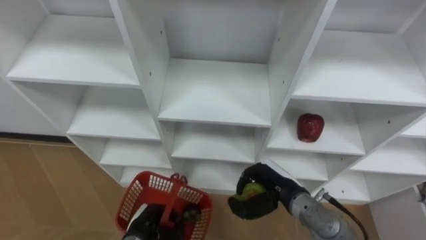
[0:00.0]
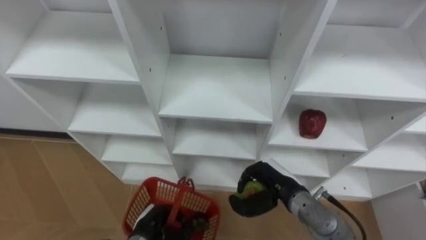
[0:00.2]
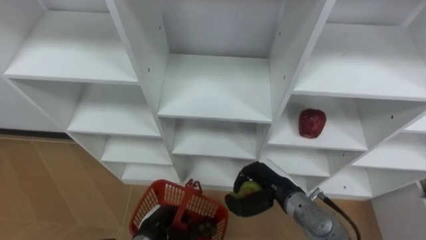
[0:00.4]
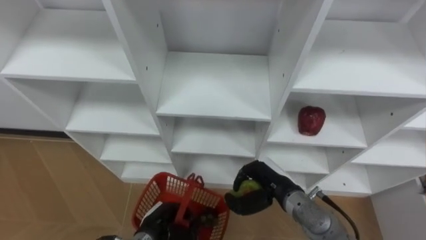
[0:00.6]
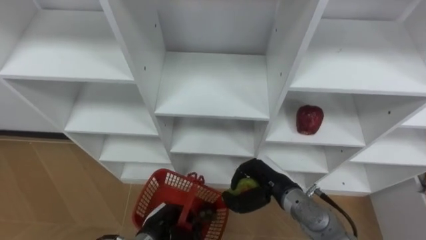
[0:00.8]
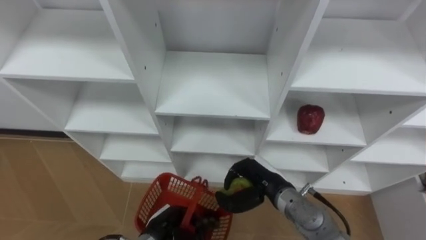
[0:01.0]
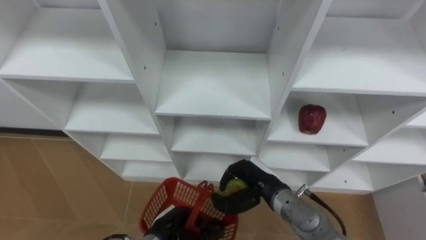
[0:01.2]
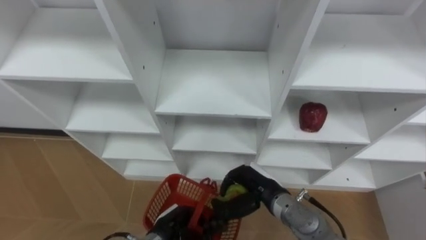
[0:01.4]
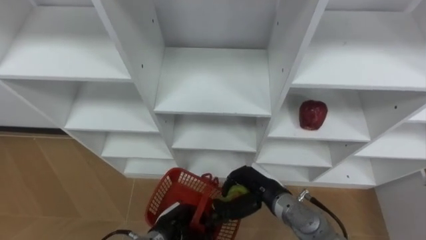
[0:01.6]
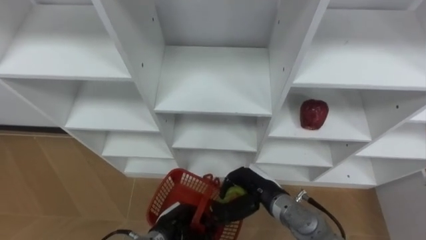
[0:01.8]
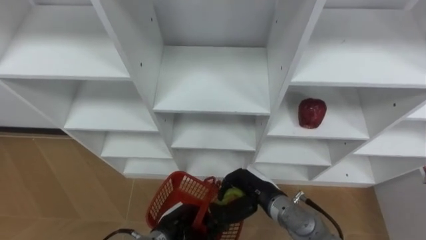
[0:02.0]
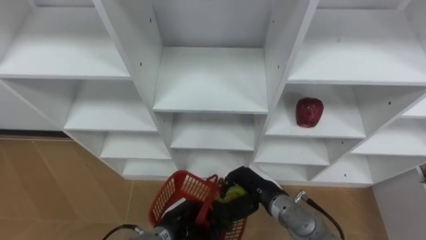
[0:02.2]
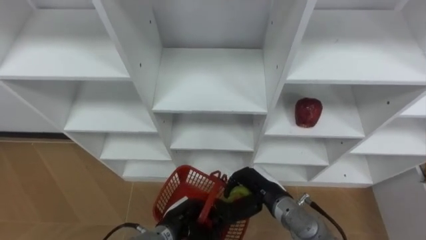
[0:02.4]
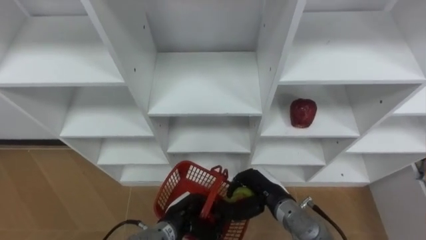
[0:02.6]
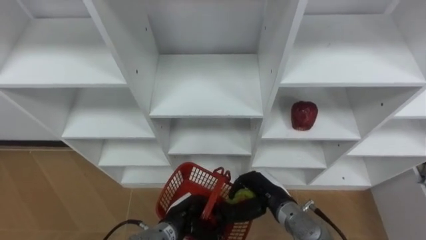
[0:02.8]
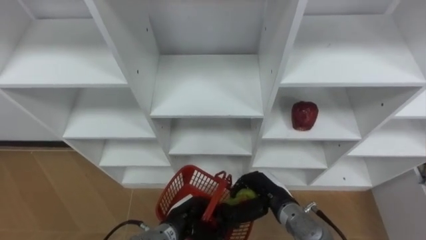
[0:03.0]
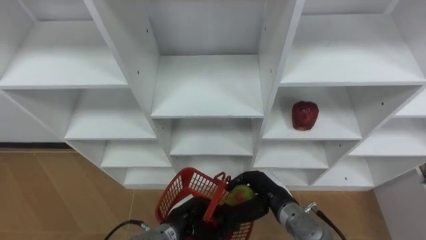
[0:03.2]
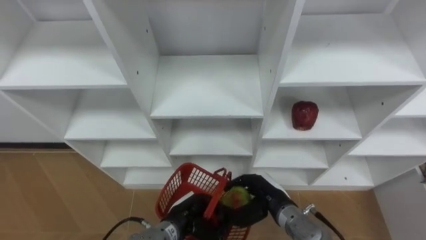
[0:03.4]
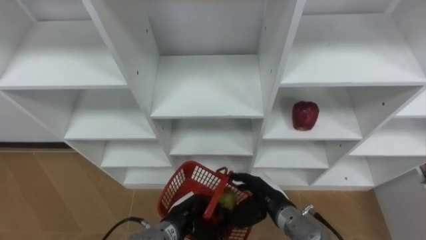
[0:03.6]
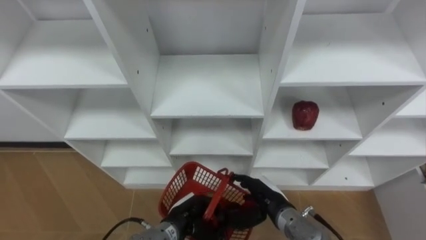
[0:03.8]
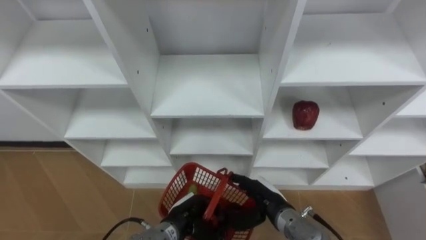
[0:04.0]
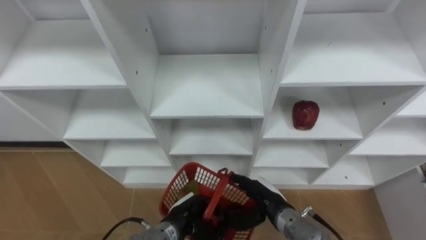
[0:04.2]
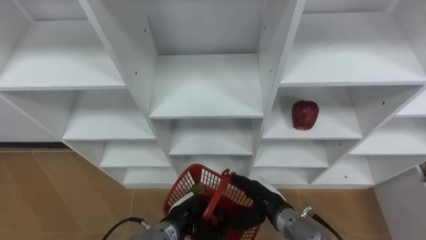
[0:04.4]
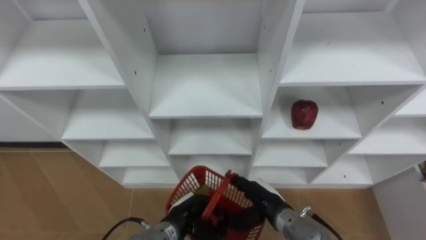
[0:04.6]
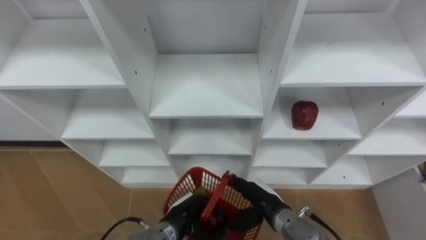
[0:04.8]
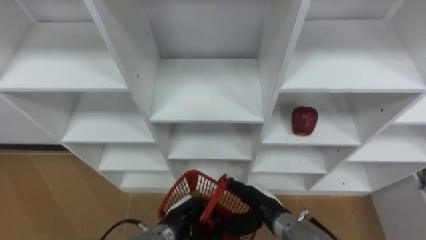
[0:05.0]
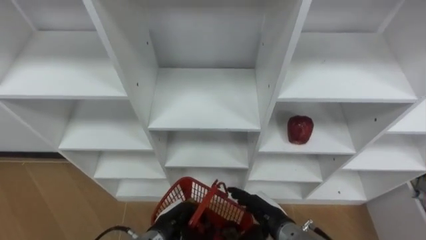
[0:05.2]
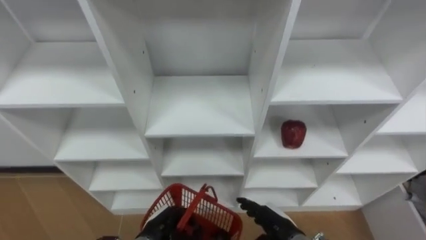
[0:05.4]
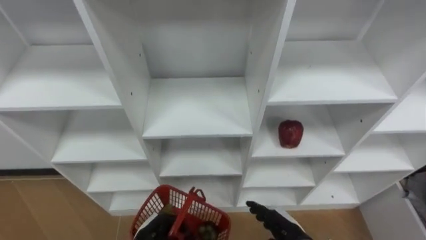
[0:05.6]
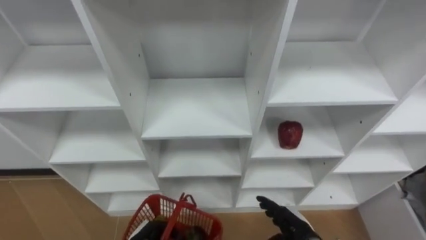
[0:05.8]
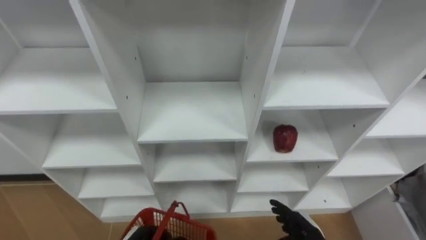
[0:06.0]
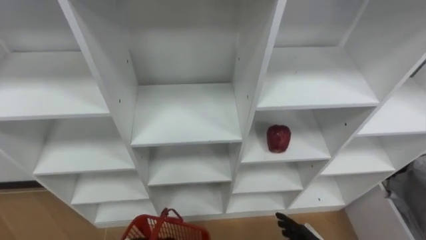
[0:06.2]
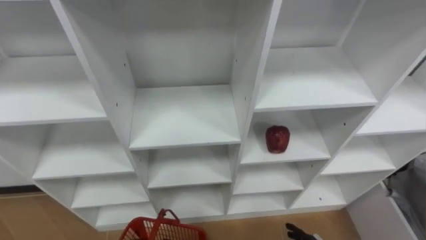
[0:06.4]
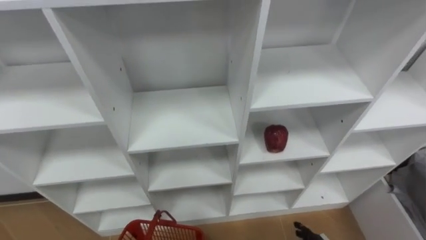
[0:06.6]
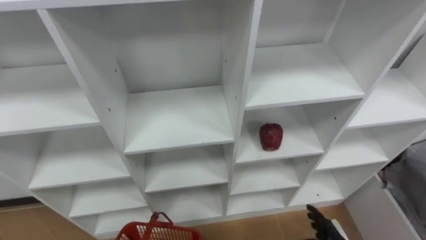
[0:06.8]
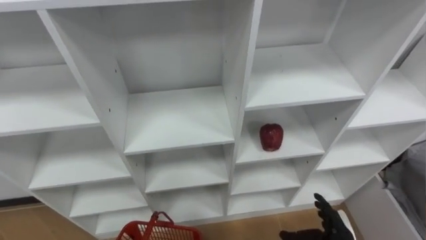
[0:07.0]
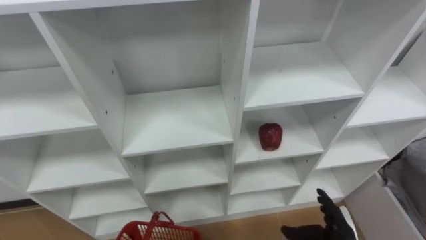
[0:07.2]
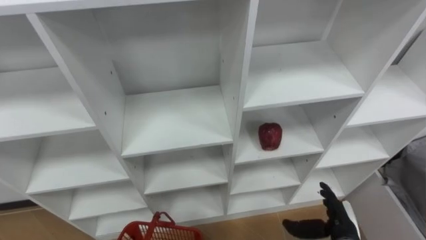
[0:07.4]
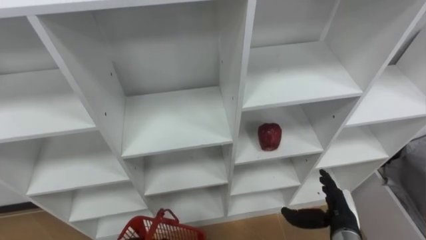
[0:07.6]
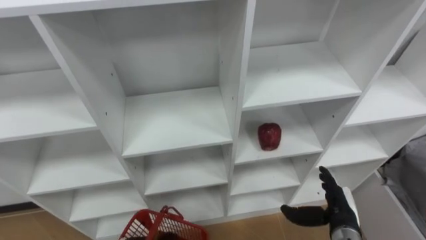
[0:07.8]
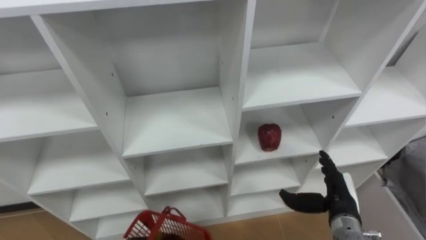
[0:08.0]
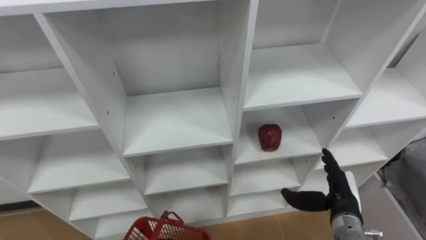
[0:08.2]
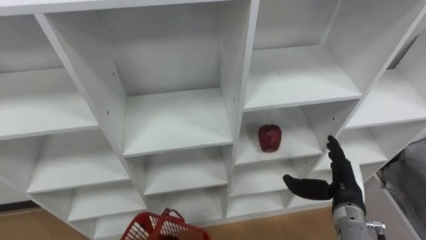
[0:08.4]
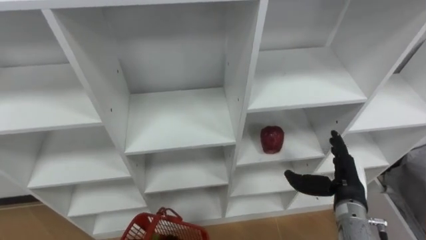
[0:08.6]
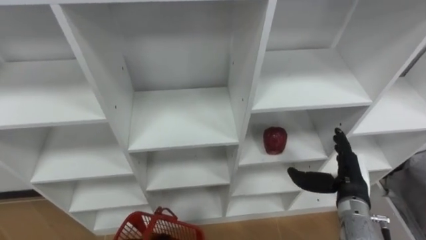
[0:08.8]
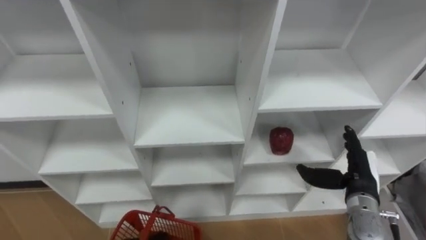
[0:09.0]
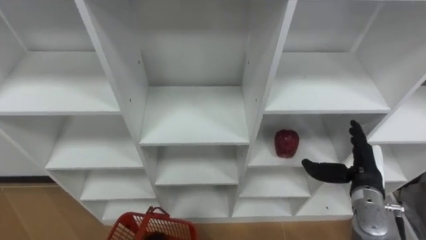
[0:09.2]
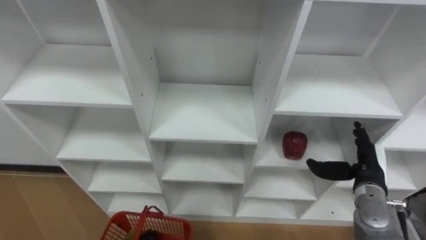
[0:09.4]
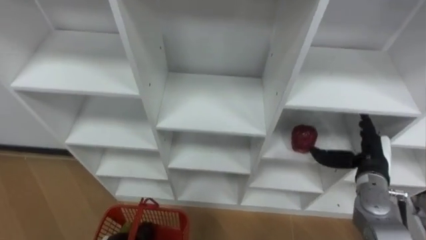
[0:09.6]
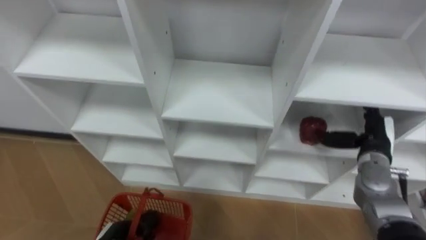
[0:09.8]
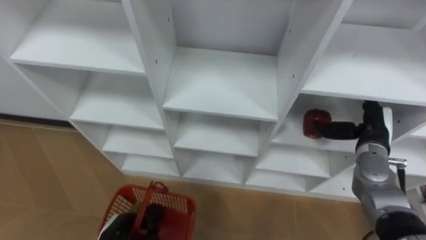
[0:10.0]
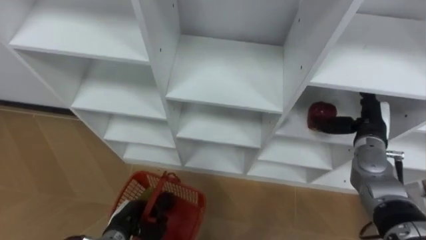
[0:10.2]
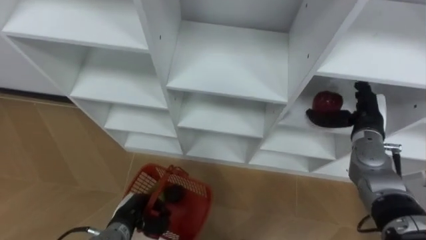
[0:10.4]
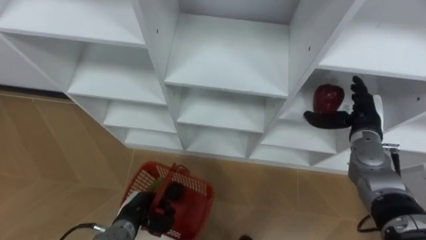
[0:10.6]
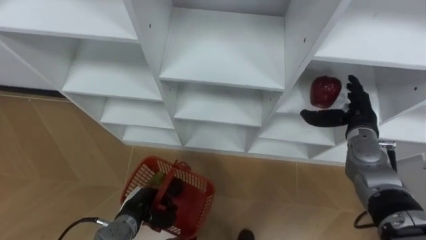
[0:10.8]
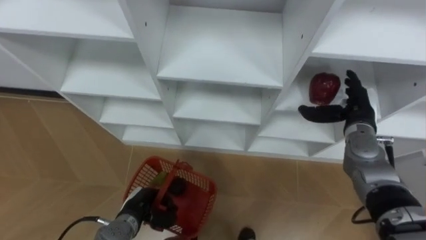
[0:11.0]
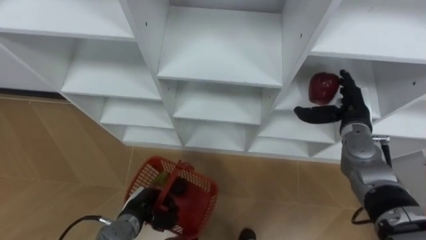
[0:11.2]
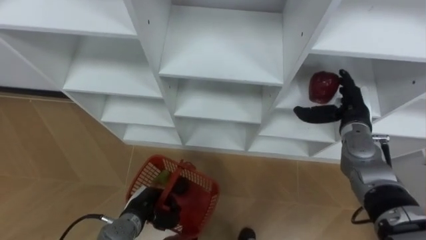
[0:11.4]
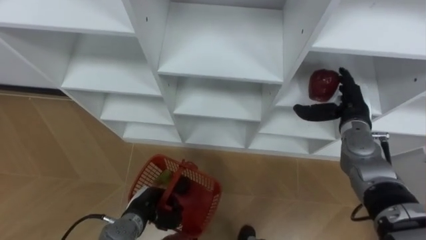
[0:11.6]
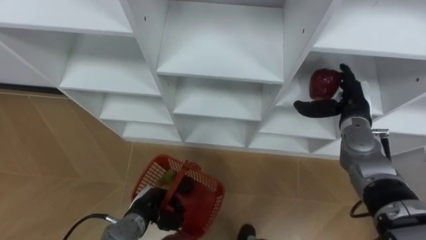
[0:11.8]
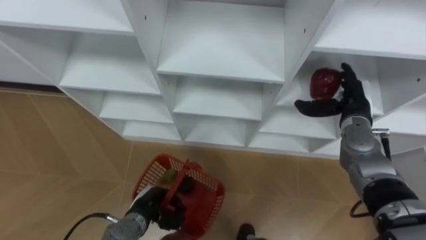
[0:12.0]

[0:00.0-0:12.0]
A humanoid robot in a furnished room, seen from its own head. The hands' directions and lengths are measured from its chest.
Task of the whole recording: Hold the basket and collect the fruits from 3 different cells of the closet into it.
0:00.0 to 0:01.6: The left hand heads to the right, covering about 5 cm.
0:03.0 to 0:04.4: The right hand opens up.
0:04.4 to 0:06.0: The right hand heads to the right and backward, covering approximately 10 cm.
0:07.6 to 0:09.0: The right hand travels upward and forward by some 10 cm.
0:09.0 to 0:10.4: The right hand is displaced forward and upward by approximately 10 cm.

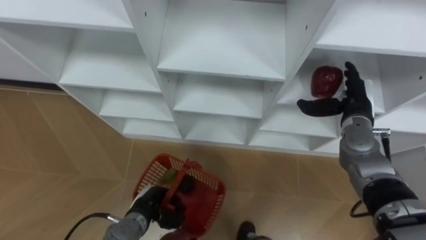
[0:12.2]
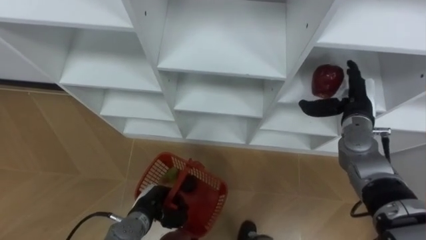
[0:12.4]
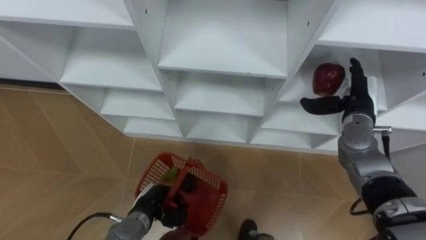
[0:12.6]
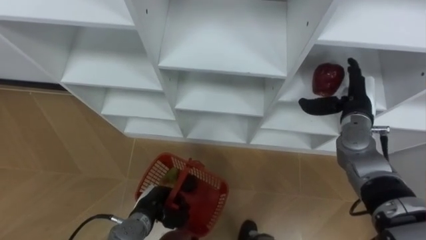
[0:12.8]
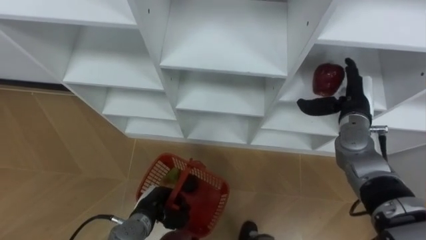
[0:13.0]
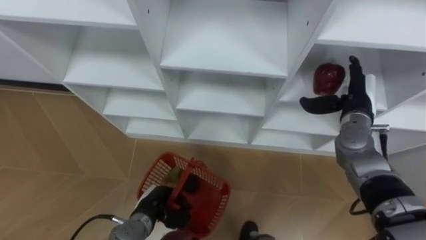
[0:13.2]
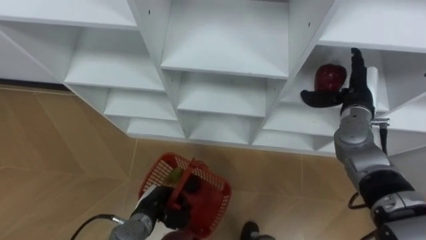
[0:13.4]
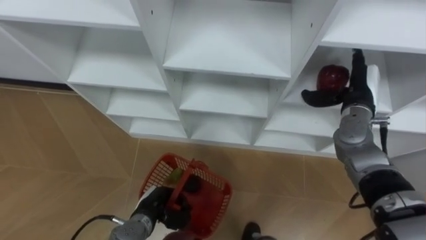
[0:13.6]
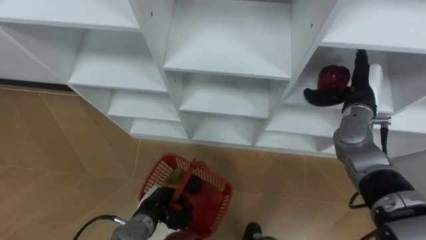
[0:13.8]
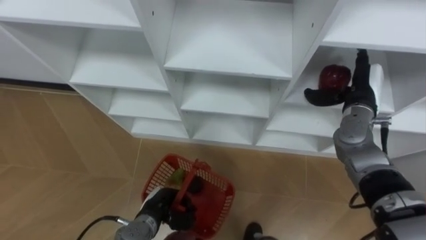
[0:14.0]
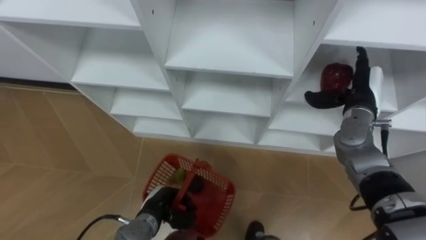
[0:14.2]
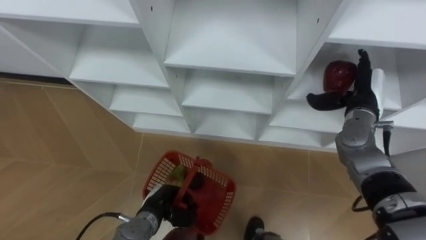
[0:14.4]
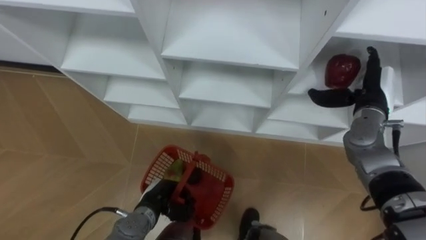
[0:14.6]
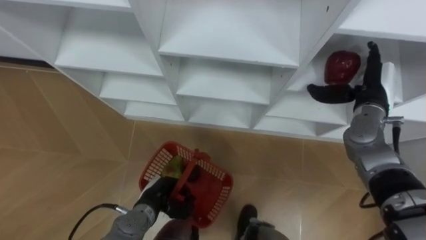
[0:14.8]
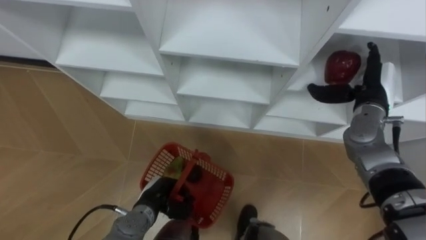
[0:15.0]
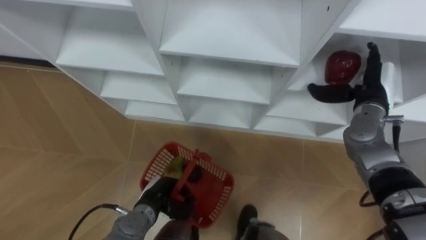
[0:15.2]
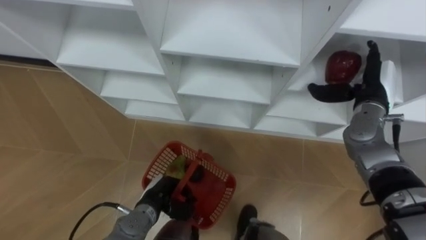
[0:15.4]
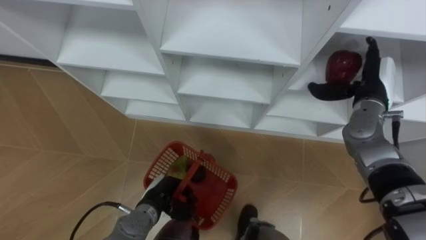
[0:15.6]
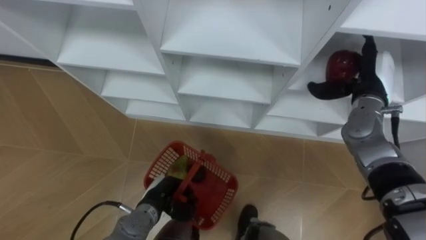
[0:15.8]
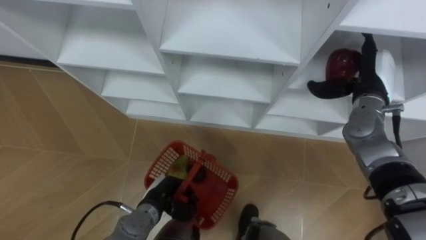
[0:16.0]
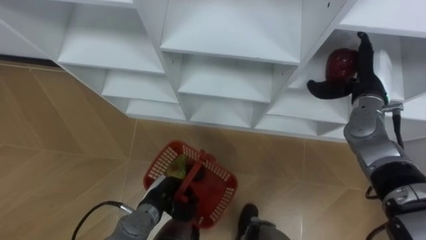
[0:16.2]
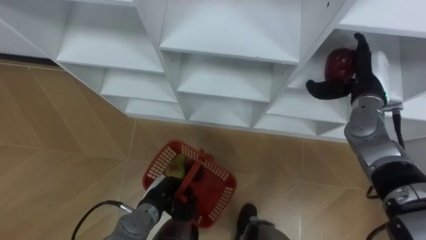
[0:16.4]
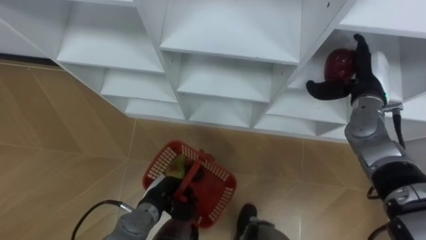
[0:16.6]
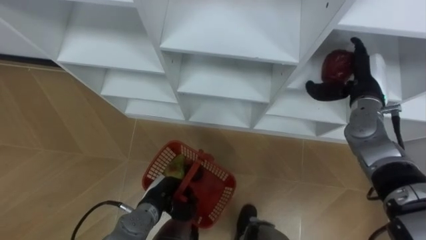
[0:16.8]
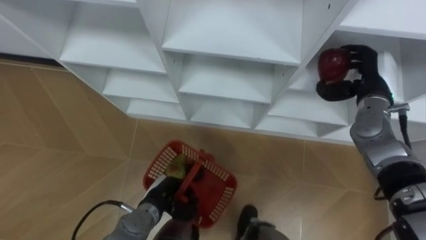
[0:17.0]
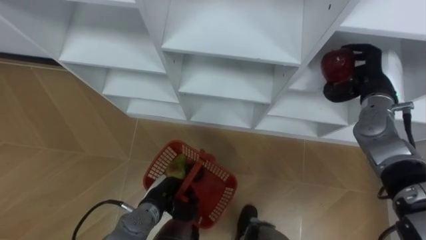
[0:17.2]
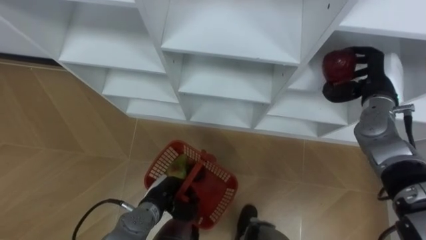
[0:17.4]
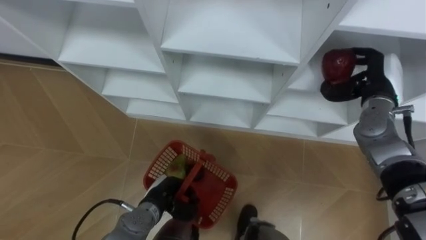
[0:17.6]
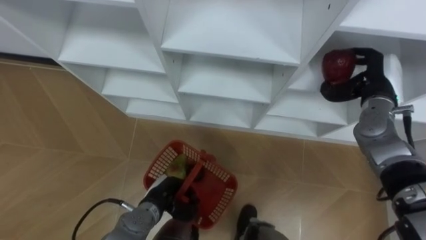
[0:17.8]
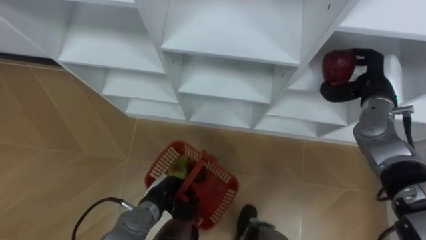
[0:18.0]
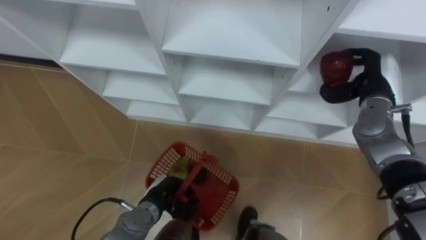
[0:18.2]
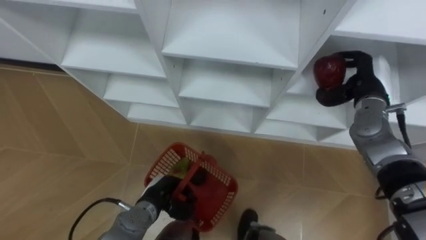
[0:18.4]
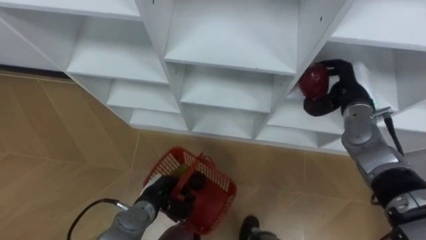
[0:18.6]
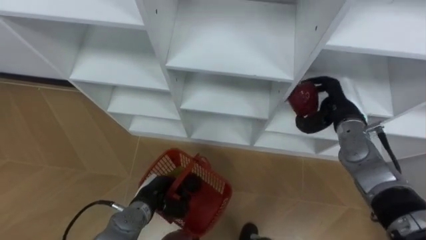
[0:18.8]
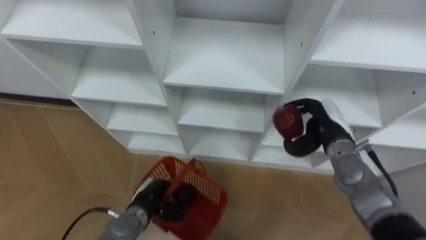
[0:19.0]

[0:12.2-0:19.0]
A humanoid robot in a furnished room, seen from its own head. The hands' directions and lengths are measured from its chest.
Task of the whole recording: Hold the basket and collect the fruits from 3 different cells of the closet into it.
0:16.2 to 0:17.6: The right hand closes.
0:17.6 to 0:19.0: The right hand is displaced to the left, downward and backward by about 10 cm.
